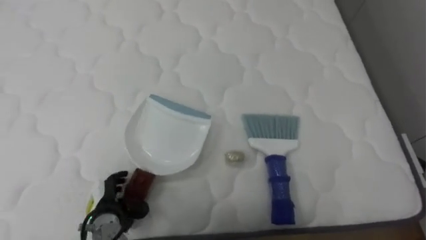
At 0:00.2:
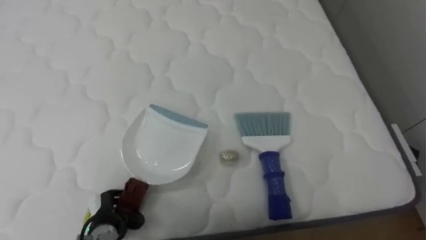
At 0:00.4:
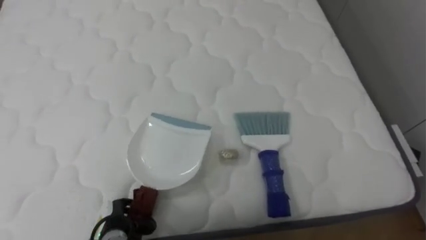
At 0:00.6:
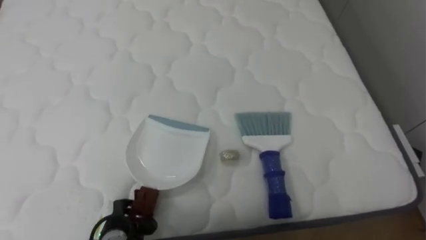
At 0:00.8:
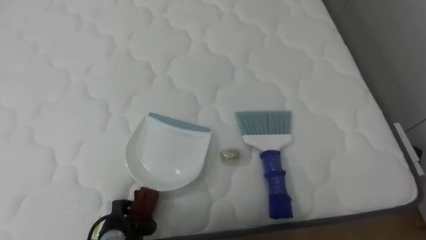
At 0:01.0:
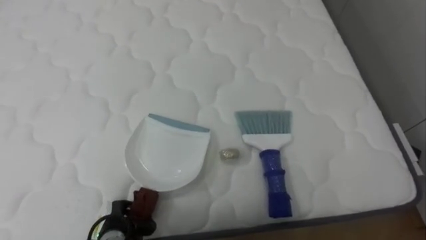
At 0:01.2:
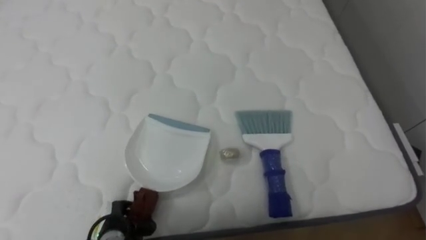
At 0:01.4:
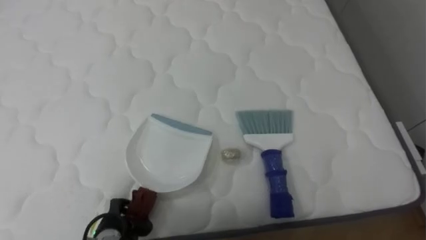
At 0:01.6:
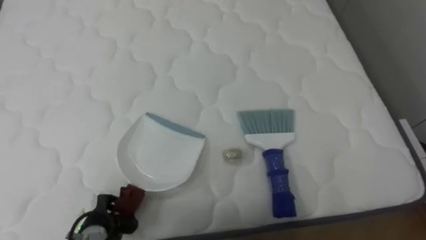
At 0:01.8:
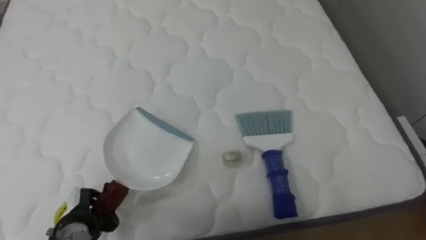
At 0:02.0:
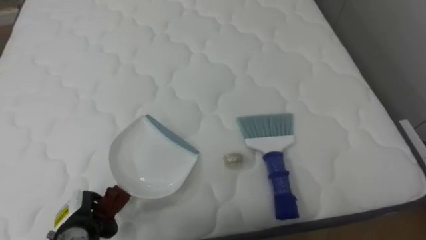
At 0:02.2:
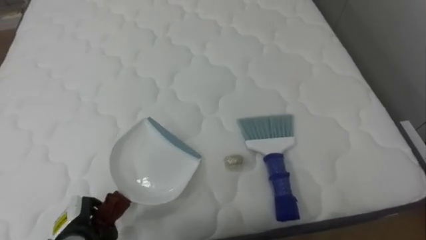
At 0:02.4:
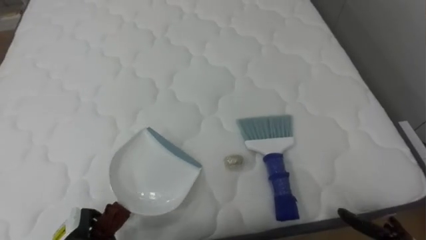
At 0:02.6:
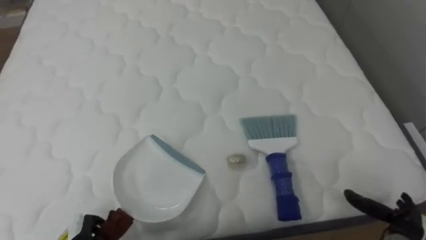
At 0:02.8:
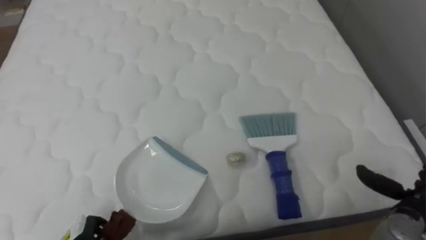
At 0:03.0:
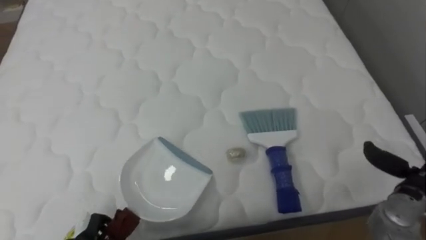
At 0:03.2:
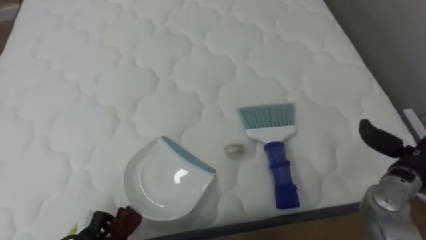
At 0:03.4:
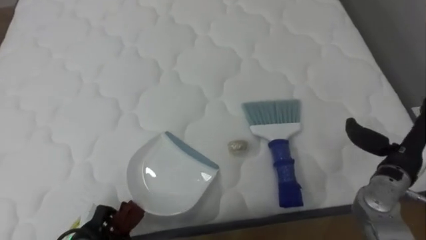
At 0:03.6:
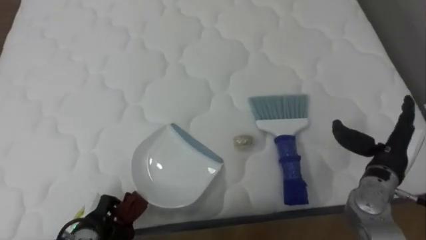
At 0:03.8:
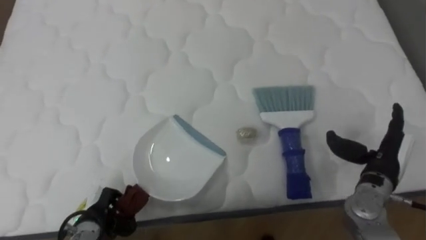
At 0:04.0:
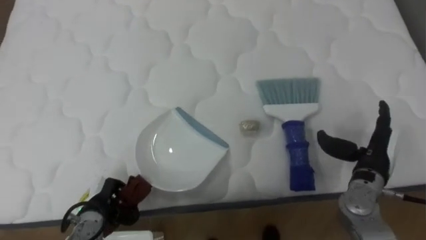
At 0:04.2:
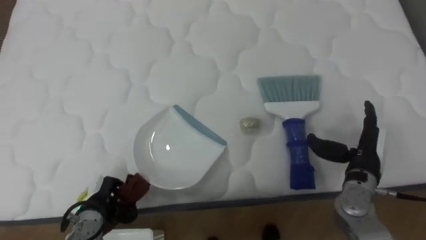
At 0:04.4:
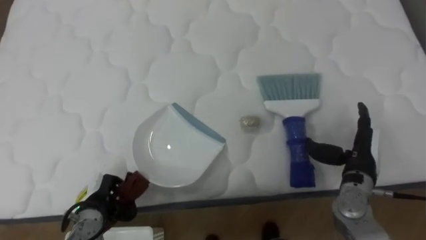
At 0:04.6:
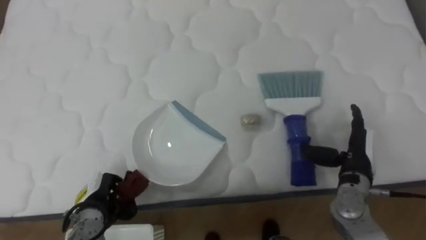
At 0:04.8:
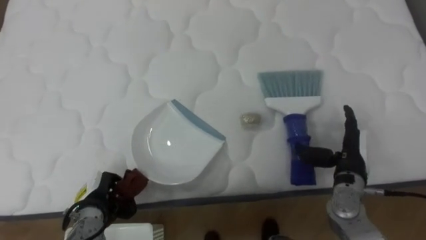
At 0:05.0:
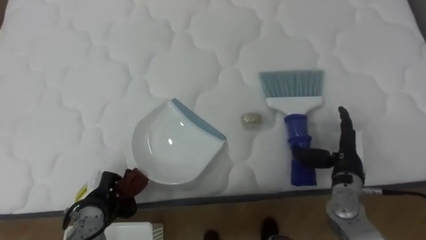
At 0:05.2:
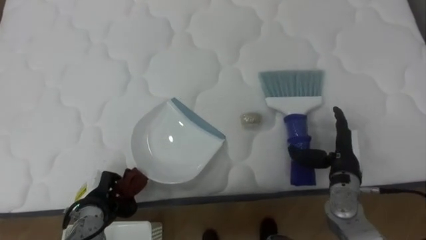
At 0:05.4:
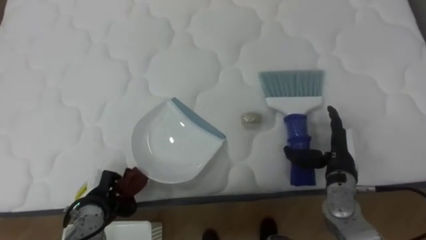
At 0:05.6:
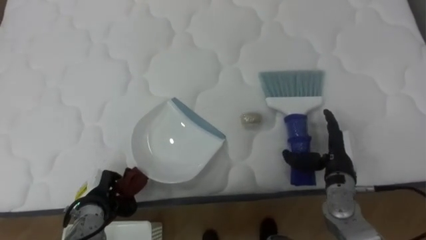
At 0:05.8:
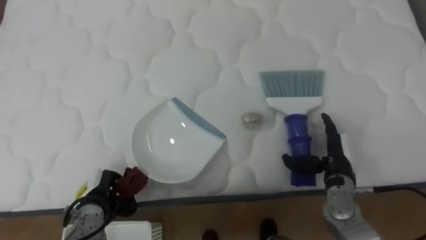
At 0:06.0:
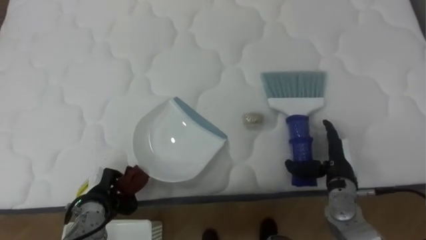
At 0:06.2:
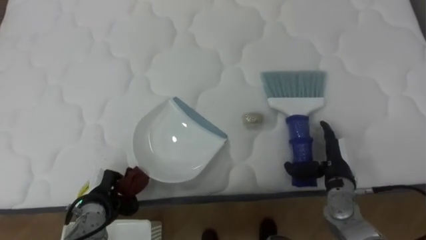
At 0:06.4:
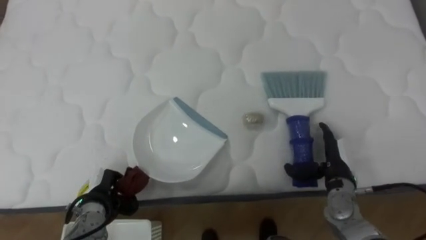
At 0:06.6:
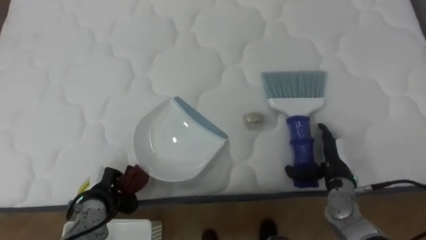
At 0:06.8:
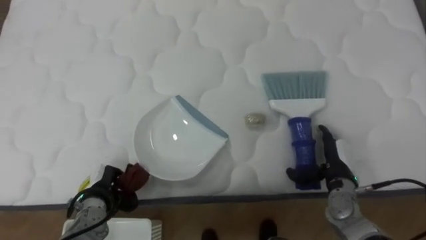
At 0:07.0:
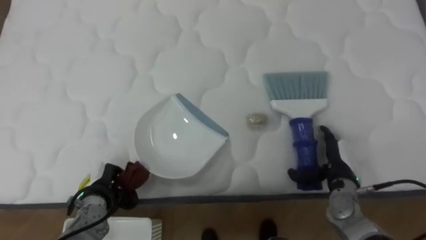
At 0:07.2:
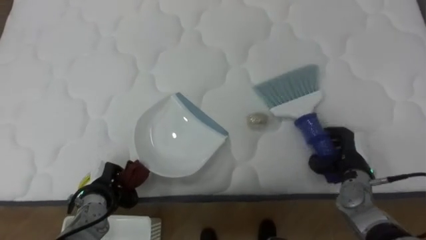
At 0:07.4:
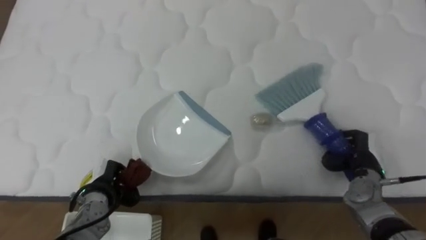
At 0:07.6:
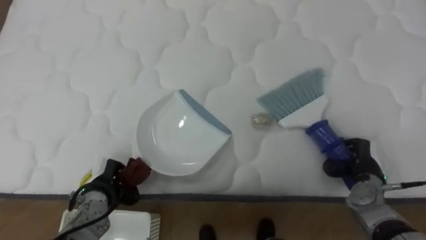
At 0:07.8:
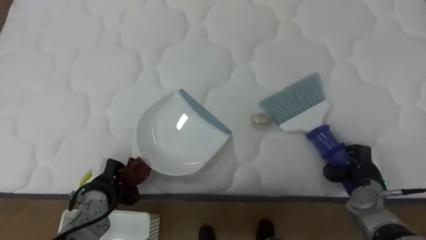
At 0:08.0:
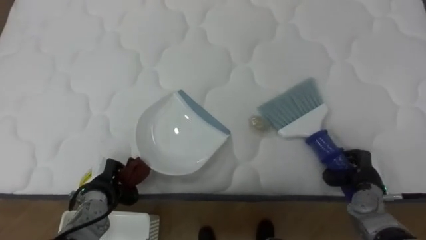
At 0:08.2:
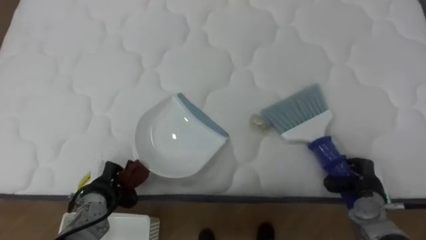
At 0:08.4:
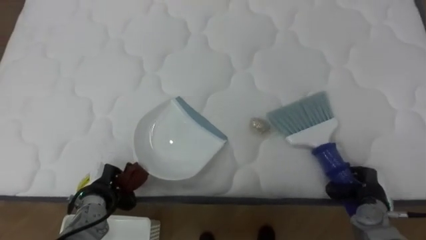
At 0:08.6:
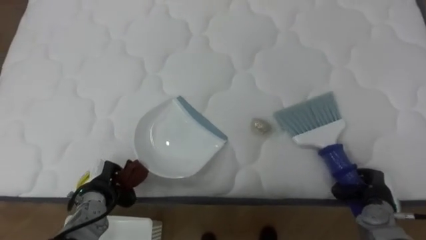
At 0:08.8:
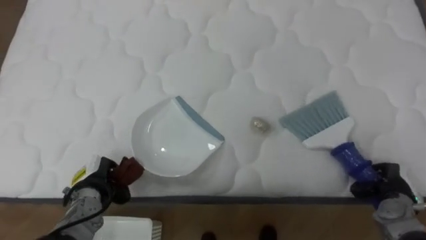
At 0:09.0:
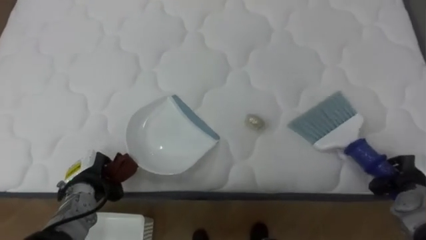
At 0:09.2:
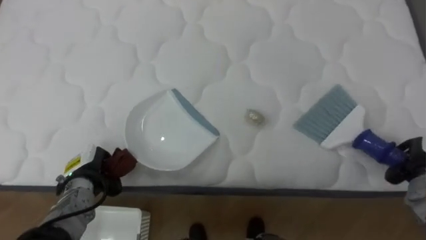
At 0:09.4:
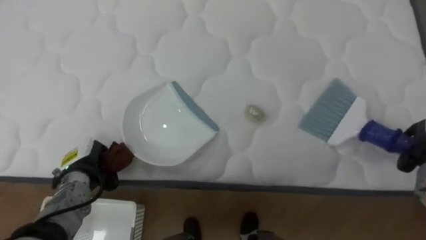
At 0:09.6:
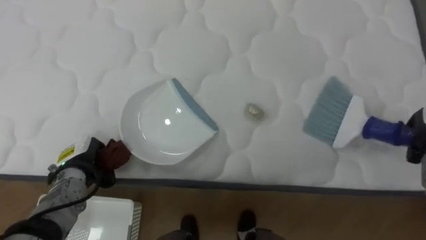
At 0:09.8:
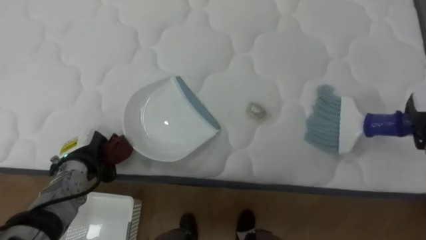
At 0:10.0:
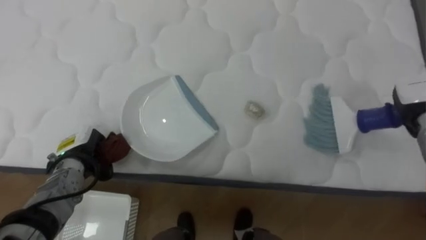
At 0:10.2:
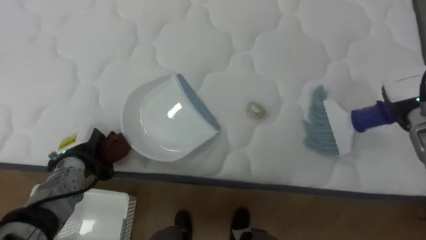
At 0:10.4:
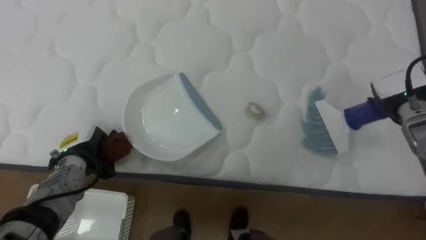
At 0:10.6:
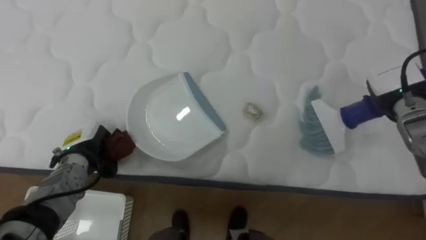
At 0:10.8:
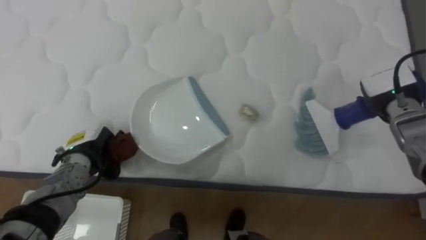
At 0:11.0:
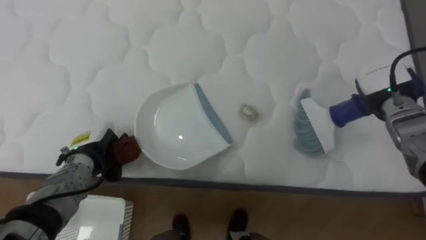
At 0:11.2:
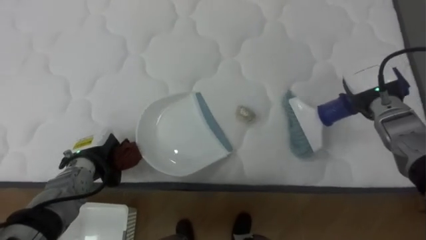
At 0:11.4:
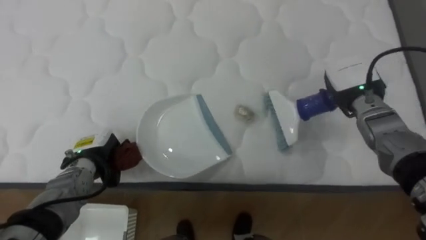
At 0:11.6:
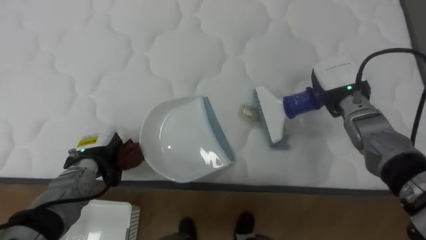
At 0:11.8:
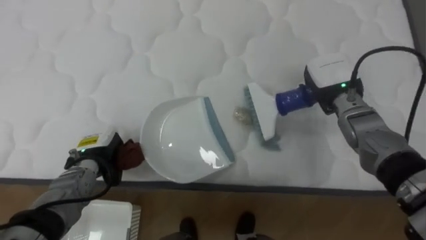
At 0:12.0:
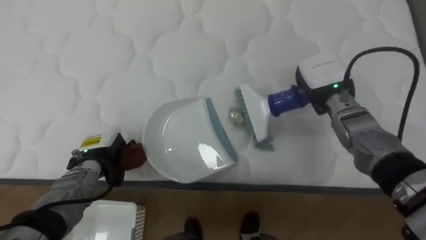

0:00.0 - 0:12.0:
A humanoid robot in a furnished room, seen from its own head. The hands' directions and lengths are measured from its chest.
Task of the whole recording: Pick up the brush on your right and the dustpan on your left. Use the brush to sweep the crumpled paper on the bed into the dustpan, then turn left and empty it into the basket.
0:00.0 - 0:01.6: The left hand closes its fingers.
0:03.0 - 0:04.4: The right hand is displaced to the left and forward by some 10 cm; the left hand moves forward, approximately 5 cm.
0:06.0 - 0:07.6: The right hand goes approximately 5 cm to the right, and closes up.
0:07.6 - 0:09.0: The right hand is displaced to the right by about 10 cm.
0:09.0 - 0:10.4: The left hand shifts by roughly 5 cm.
0:10.4 - 0:12.0: The right hand is displaced to the left by some 15 cm.

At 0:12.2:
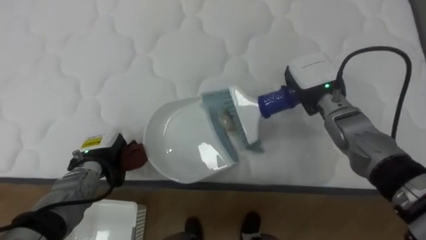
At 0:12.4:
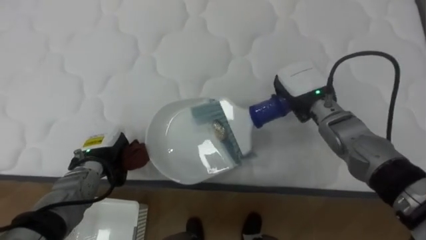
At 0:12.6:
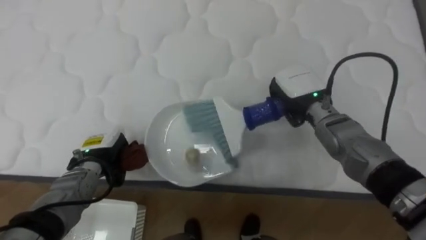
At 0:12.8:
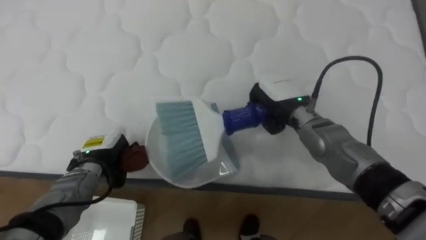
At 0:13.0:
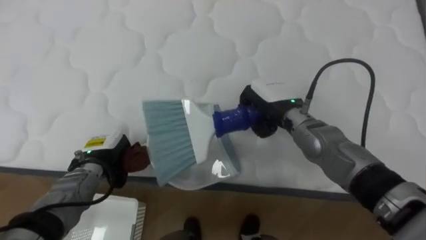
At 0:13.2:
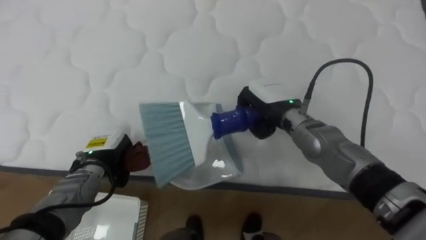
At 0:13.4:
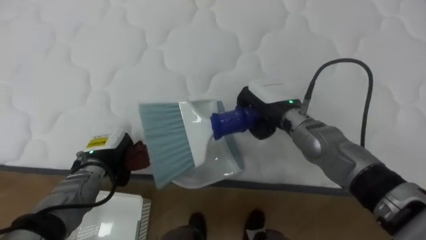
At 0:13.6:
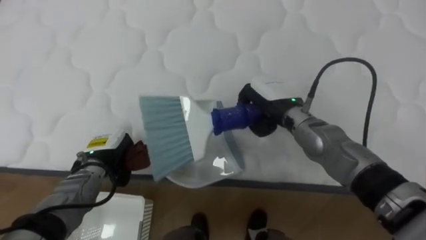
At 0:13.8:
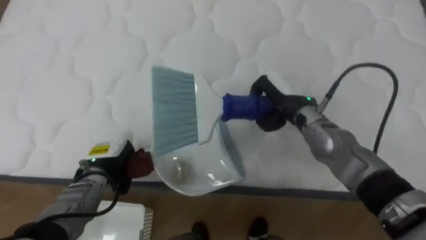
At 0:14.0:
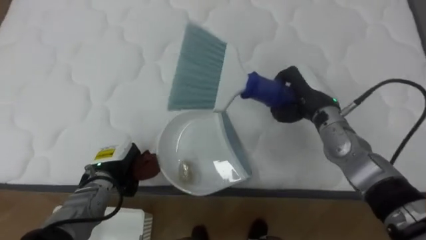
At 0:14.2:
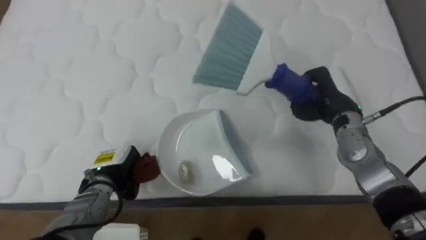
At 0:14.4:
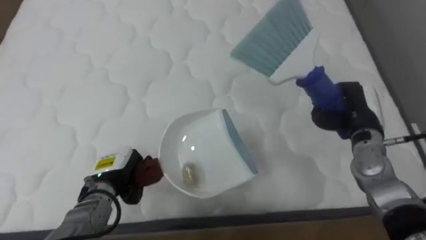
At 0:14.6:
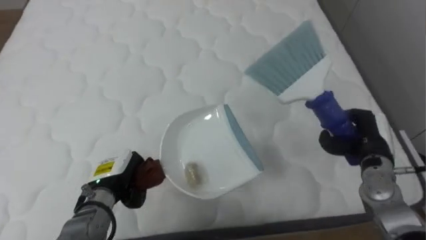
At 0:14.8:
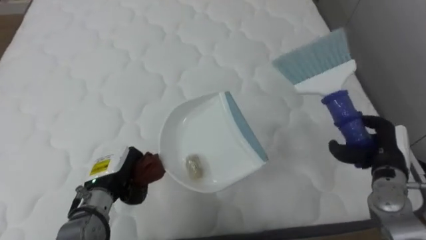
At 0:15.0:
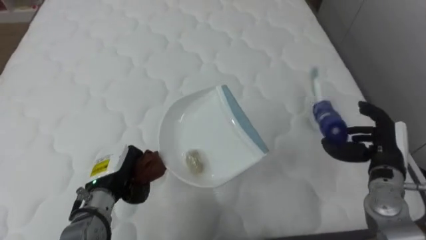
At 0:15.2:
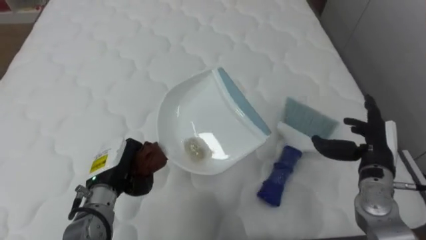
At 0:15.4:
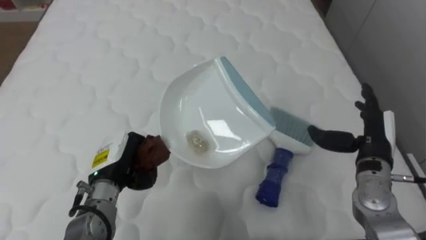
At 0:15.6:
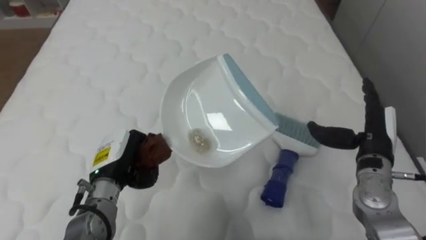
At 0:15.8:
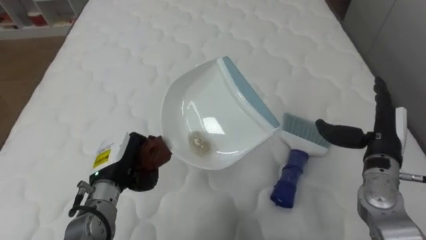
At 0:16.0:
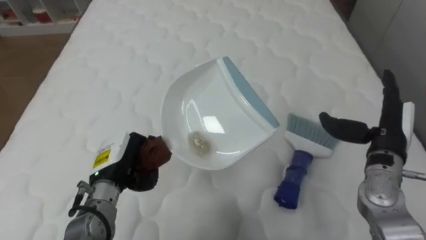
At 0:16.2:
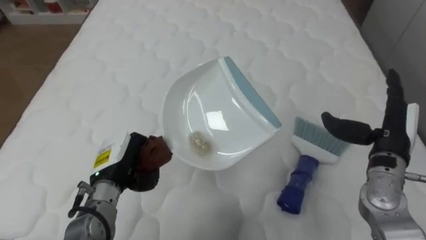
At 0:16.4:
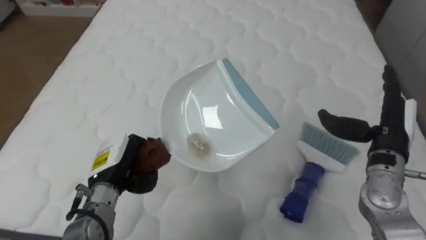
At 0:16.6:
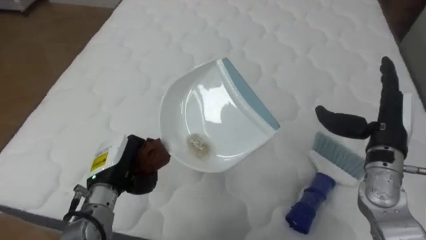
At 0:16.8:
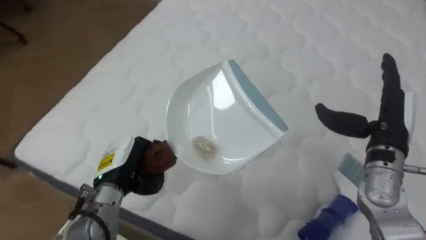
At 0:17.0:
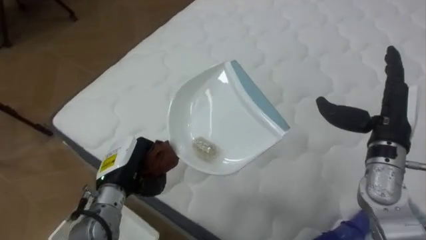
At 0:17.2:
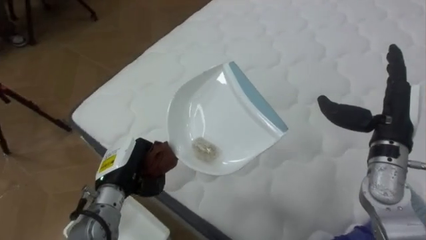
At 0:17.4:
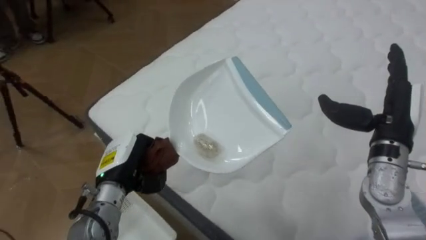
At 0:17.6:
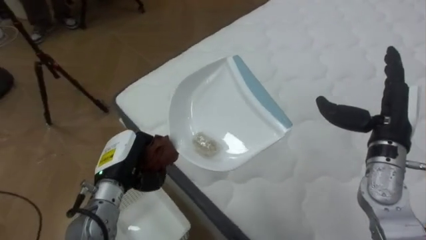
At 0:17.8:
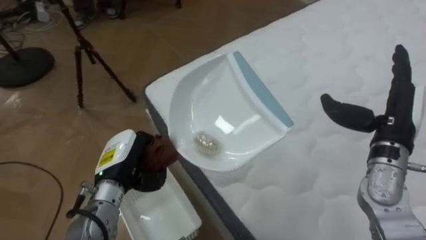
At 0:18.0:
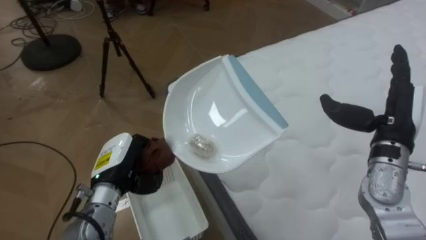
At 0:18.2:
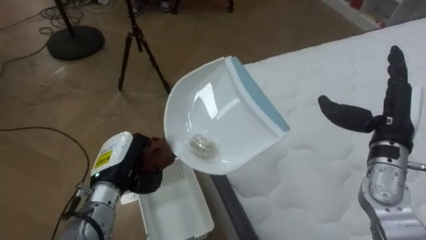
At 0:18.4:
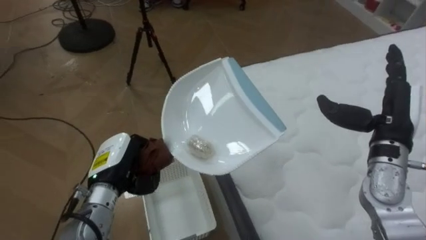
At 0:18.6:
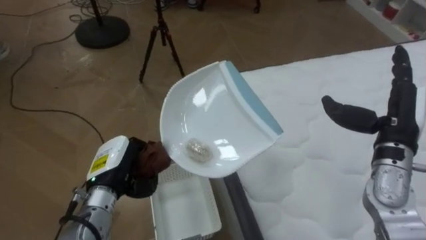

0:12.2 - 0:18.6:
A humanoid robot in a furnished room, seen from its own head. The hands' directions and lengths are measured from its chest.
Task of the whole recording: Pick up the brush on your right and the dustpan on your left. Use the brush to sweep the crumpled paper on the bed into the dustpan, then turn left and empty it into the basket.
0:12.2 - 0:13.8: The right hand goes roughly 5 cm to the left.
0:13.8 - 0:15.4: The right hand is displaced to the right and backward by some 20 cm, and opens up; the left hand ends up some 5 cm from where it was.
0:15.4 - 0:17.0: The robot turns to its left by roughly 35 degrees. The right hand shifts about 5 cm upward.
0:17.0 - 0:18.6: The robot faces roughly 35 degrees further to its left.
